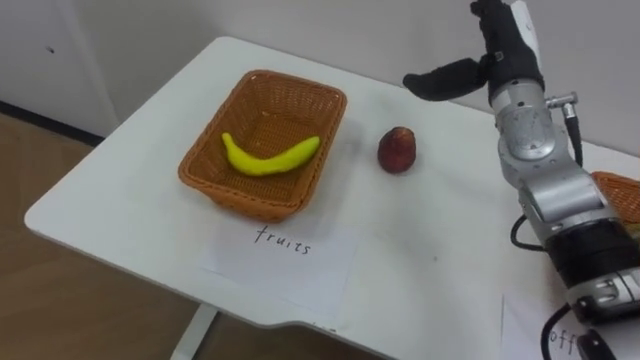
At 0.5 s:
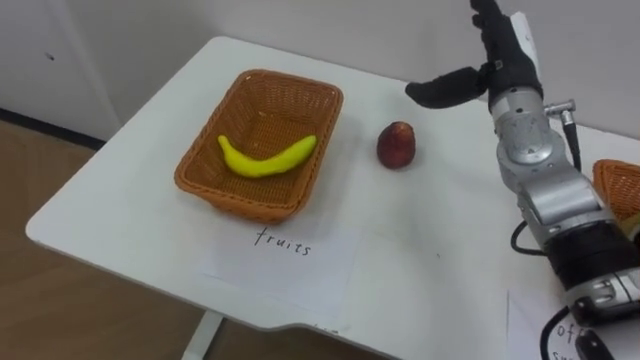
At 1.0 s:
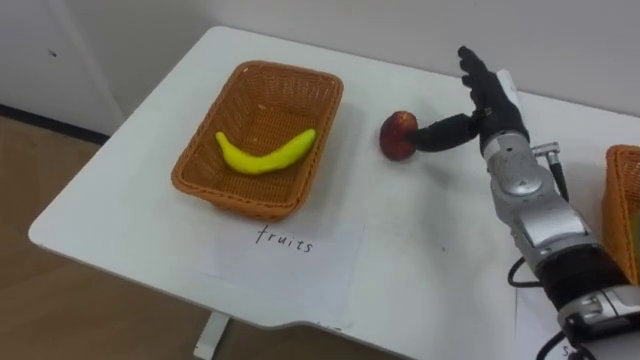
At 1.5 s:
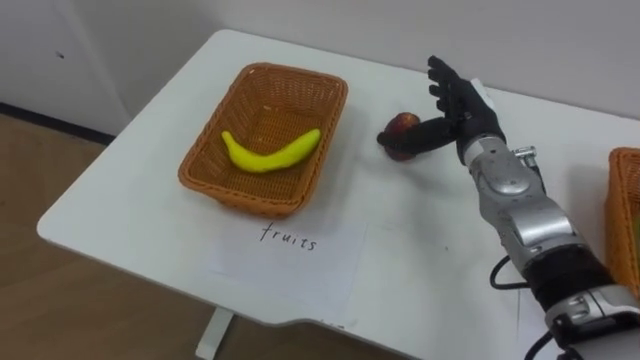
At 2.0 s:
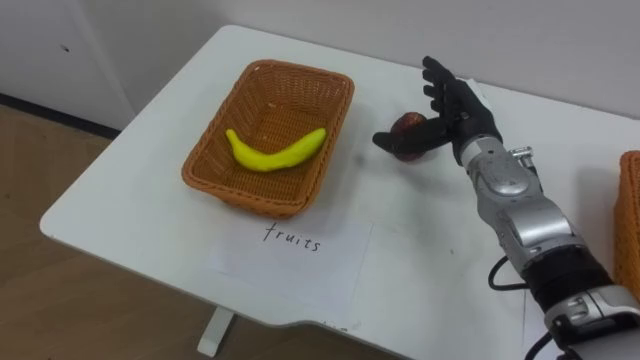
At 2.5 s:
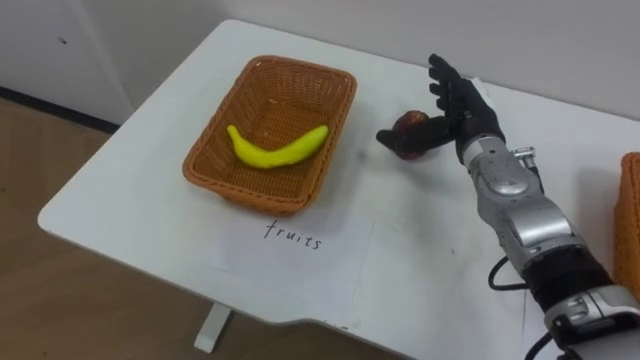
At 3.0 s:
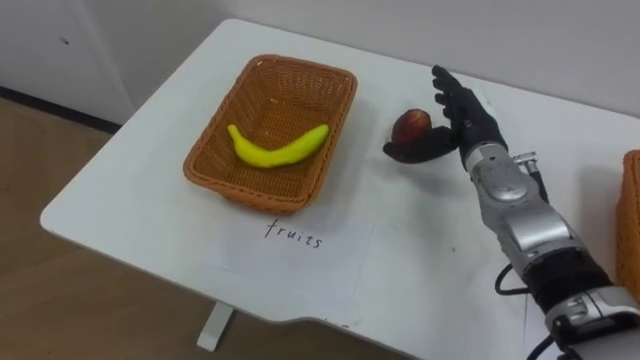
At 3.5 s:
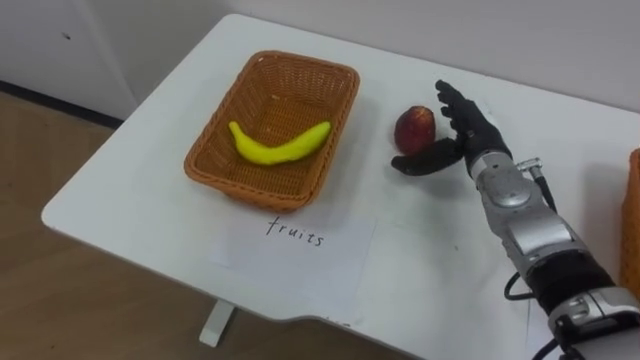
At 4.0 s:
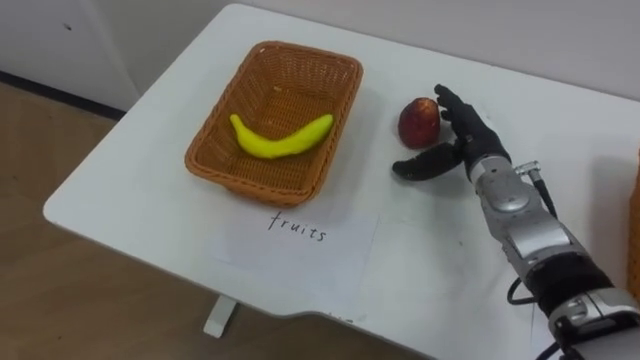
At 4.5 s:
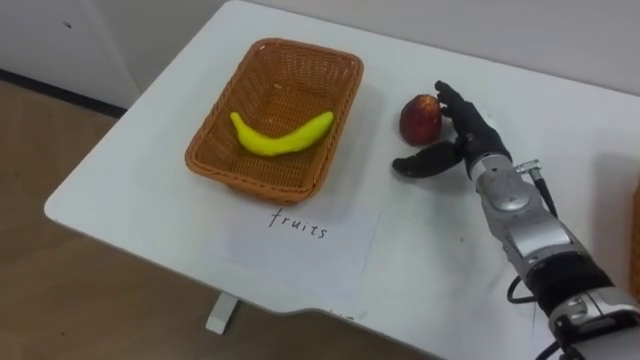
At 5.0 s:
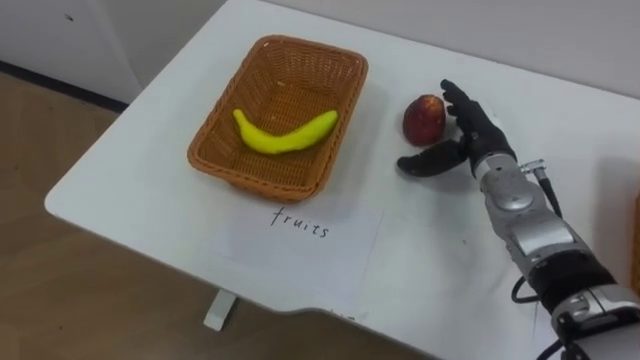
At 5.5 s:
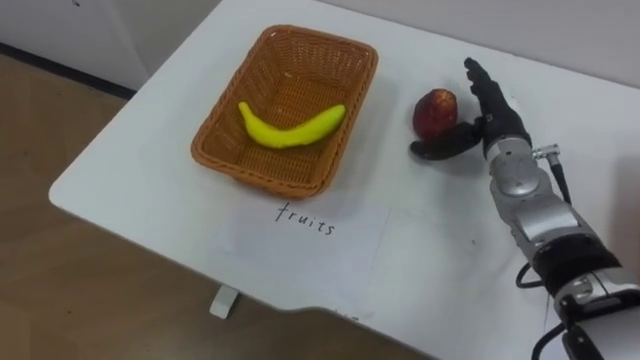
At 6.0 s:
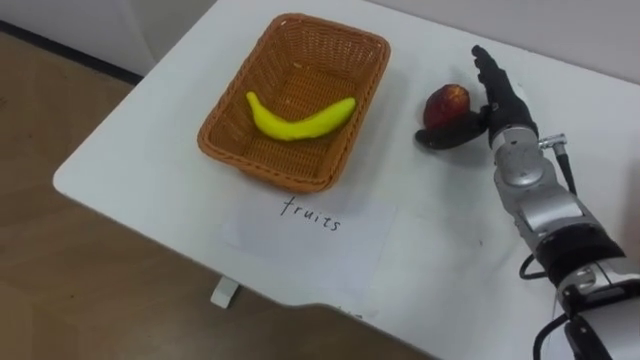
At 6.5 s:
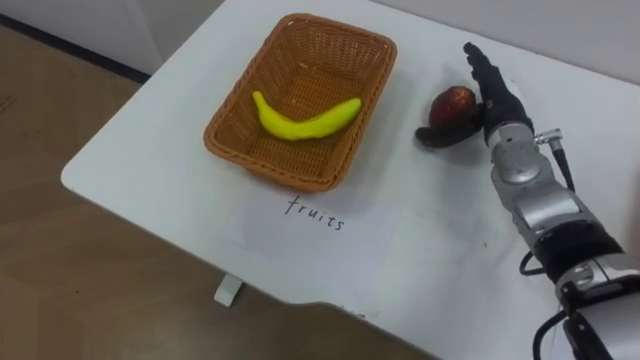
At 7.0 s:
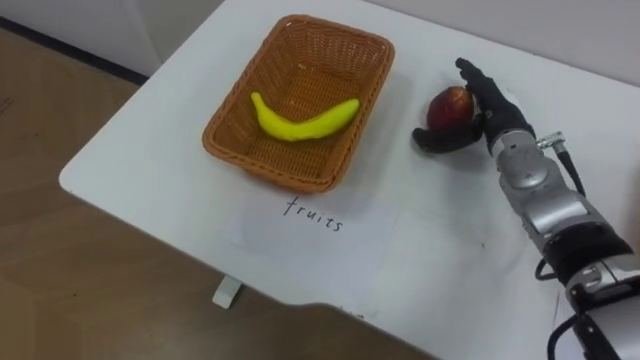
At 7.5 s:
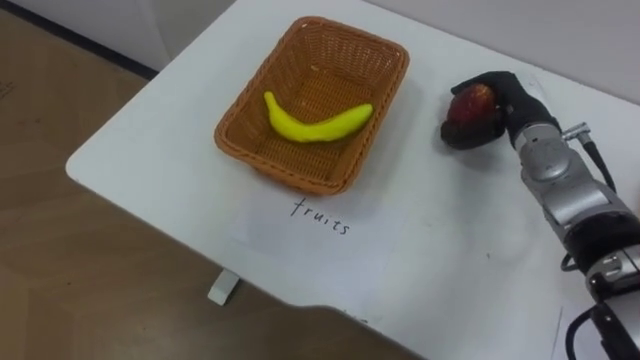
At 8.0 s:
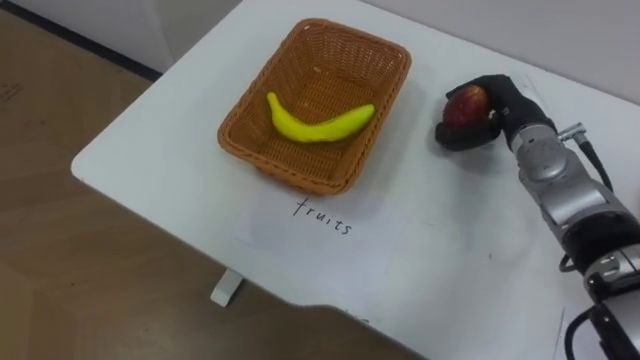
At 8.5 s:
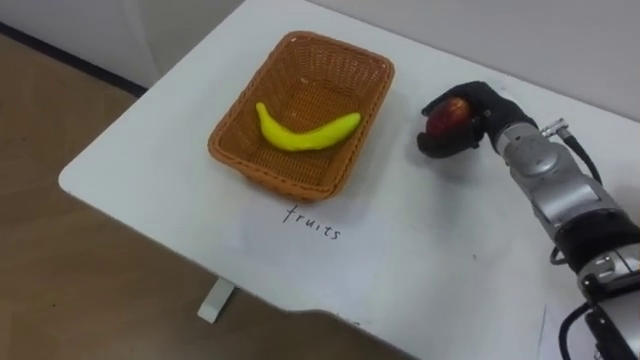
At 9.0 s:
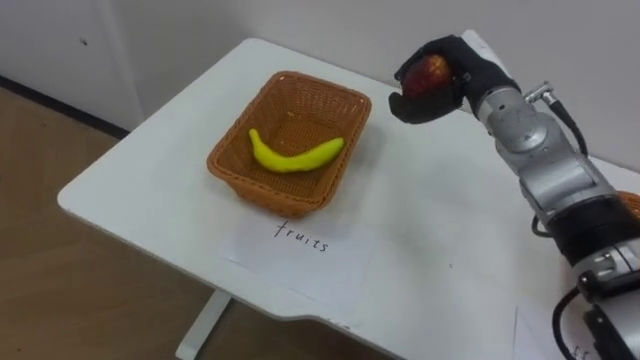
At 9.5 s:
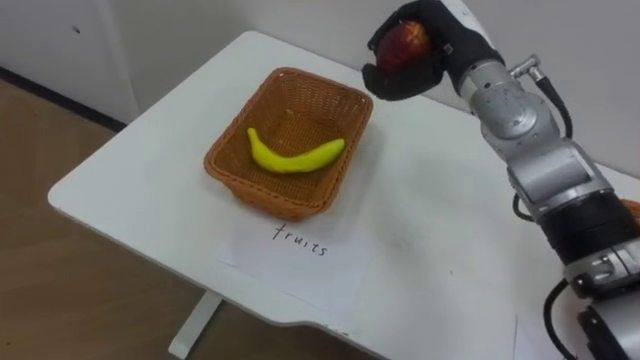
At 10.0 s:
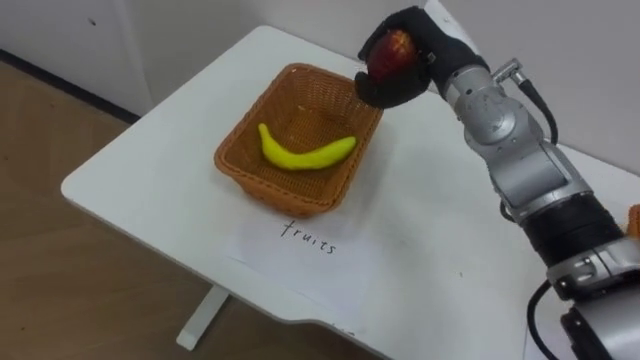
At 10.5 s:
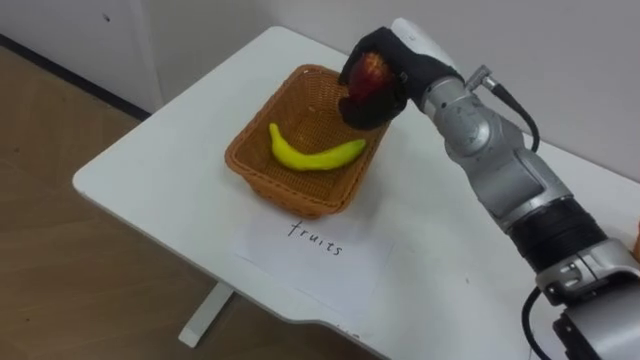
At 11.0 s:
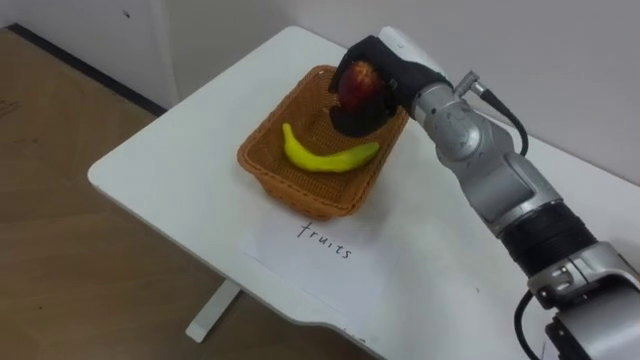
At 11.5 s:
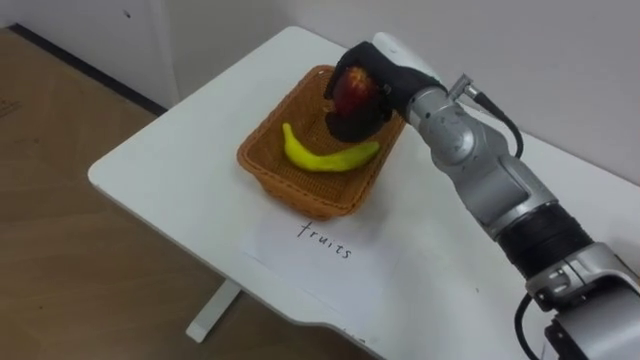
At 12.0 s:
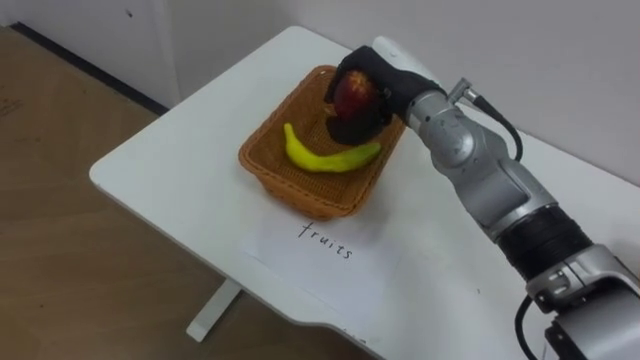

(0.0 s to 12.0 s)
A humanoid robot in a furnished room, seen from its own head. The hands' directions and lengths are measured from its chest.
Task of the whole recording: Separate the items on the table and place them into the two baskets.
0.0 s - 2.0 s: The right hand heads downward, covering approximately 10 cm.
4.0 s - 6.0 s: The right hand changes place by approximately 5 cm.
6.0 s - 8.0 s: The right hand closes.
8.0 s - 10.0 s: The right hand goes roughly 15 cm to the left and upward.
10.0 s - 12.0 s: The right hand shifts by roughly 5 cm.

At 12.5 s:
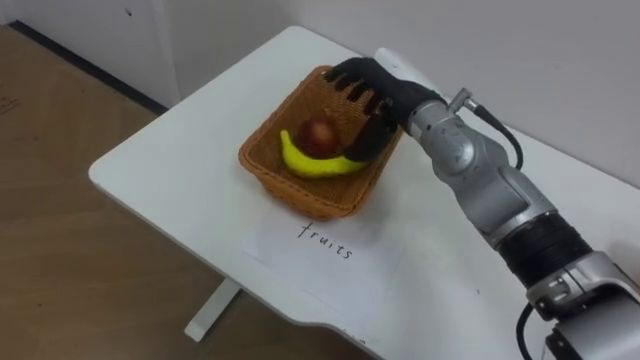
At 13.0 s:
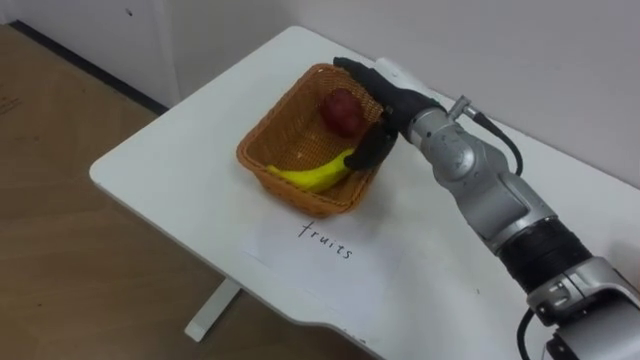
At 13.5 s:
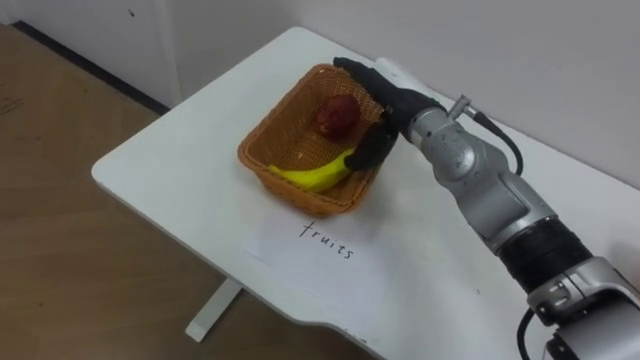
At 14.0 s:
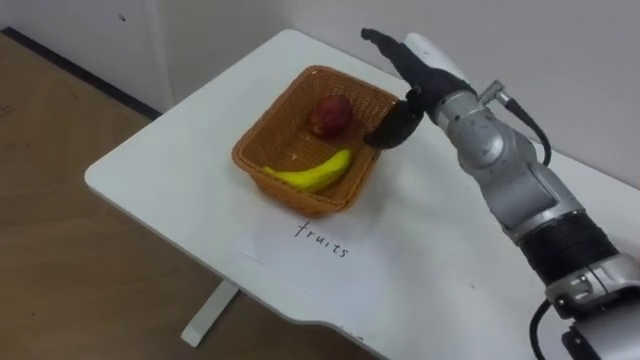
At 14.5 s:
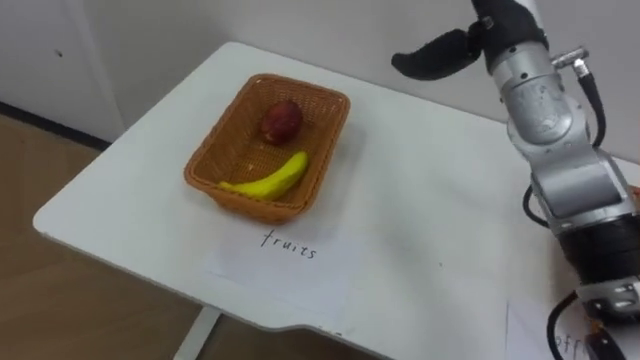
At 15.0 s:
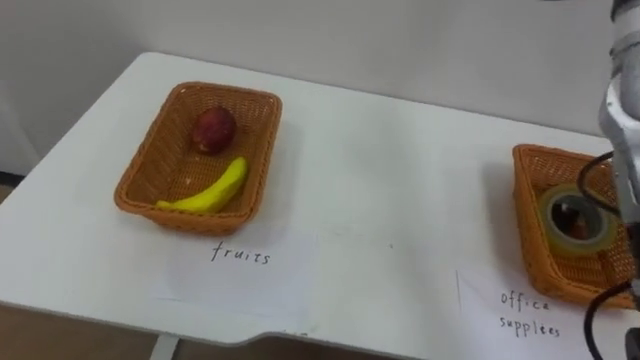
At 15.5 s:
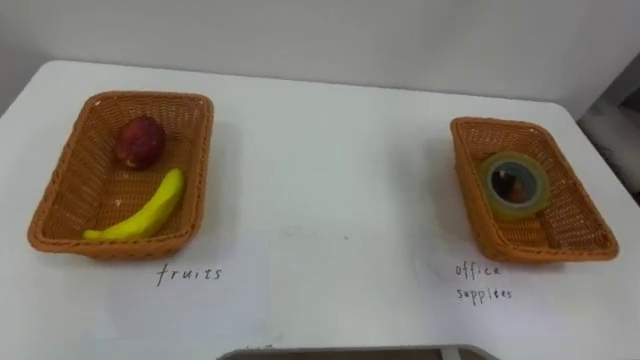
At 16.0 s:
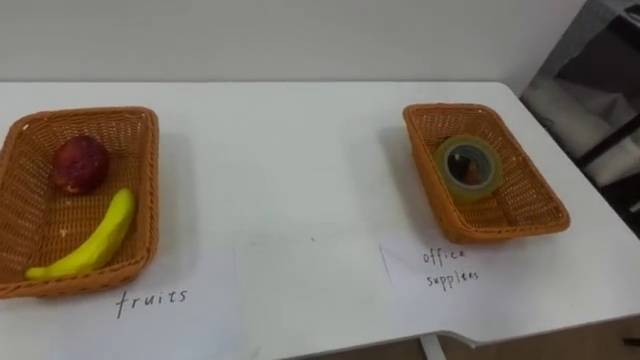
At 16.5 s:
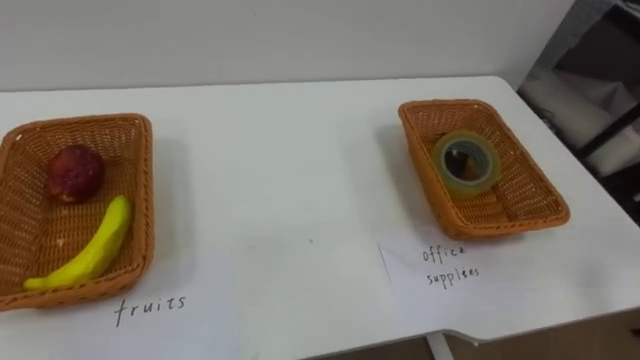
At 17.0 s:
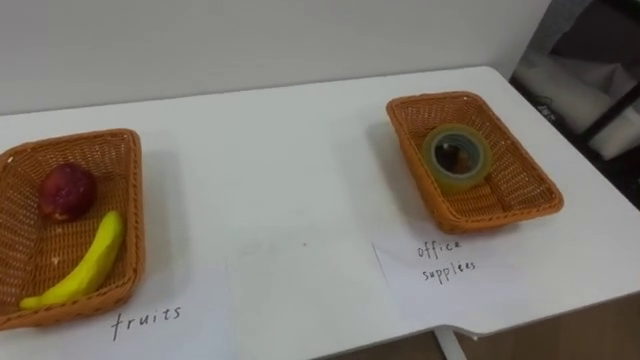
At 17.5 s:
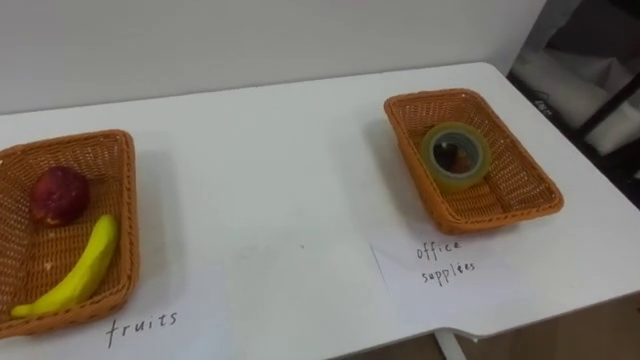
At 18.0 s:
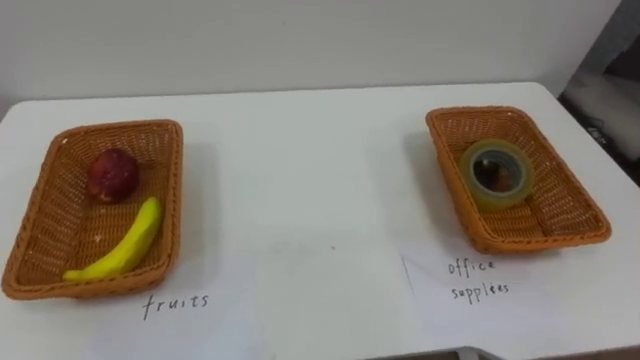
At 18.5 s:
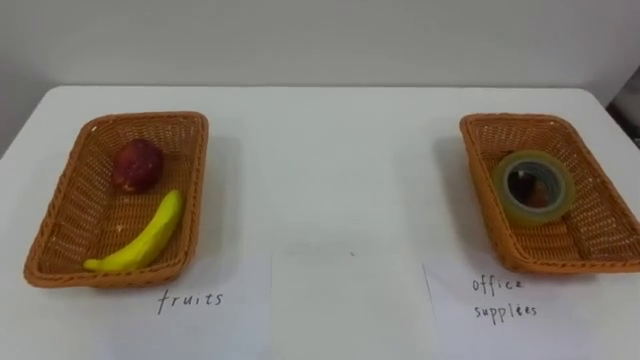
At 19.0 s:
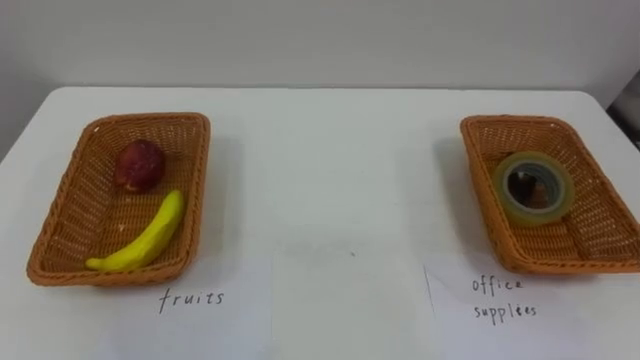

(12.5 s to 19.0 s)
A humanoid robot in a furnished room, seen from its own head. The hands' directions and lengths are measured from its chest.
Task of the whole recording: Separate the items on the table and place them into the two baskets.
12.5 s - 14.5 s: The right hand moves upward and to the right, roughly 10 cm.

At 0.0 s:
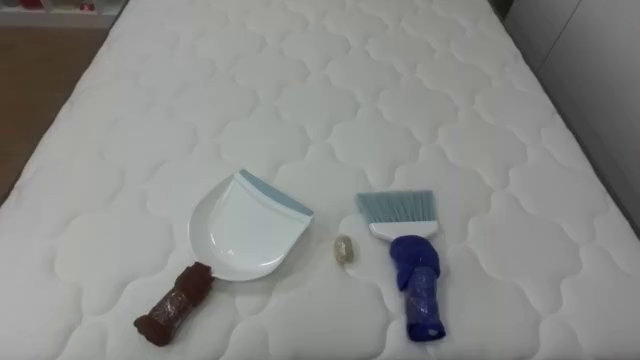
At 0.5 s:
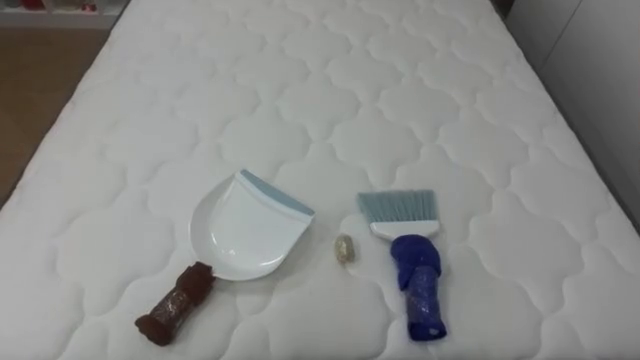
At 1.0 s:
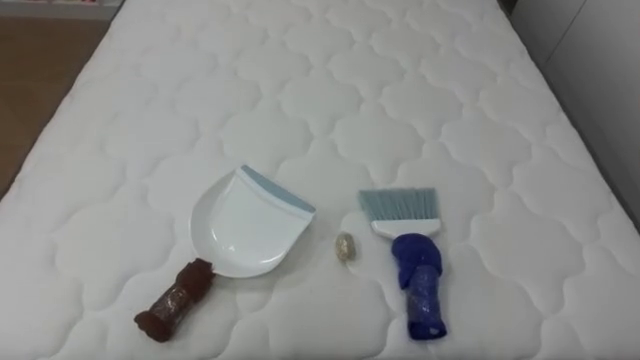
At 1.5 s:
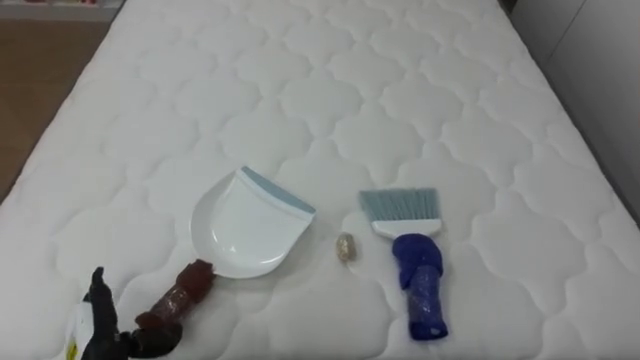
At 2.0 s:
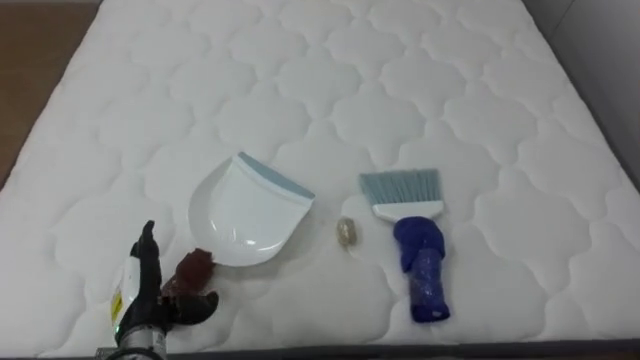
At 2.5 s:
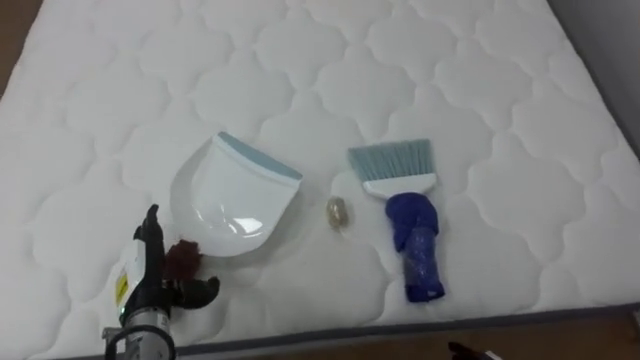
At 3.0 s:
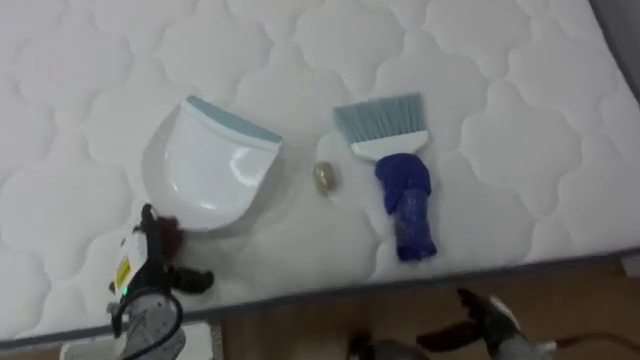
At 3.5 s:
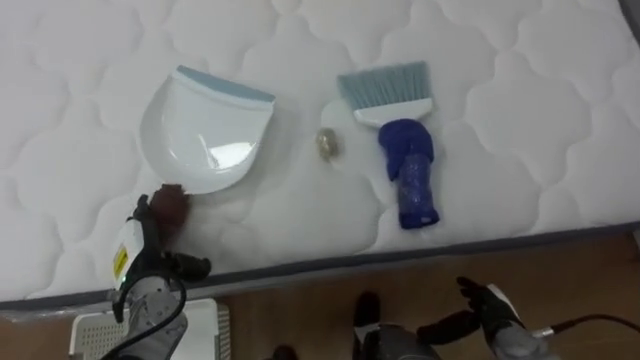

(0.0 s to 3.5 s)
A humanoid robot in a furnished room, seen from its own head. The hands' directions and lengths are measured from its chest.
Task of the whole recording: Pick up the brush on your right and the dustpan on your left. Use the brush to sweep the crumpled paper on the bed into the dustpan, then turn left and empty it into the basket.
2.0 s - 3.5 s: The left hand is displaced forward by some 5 cm.
